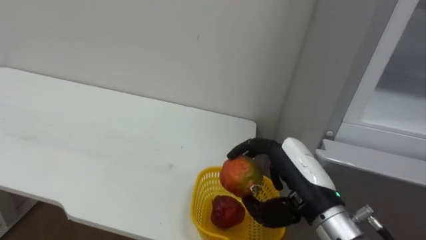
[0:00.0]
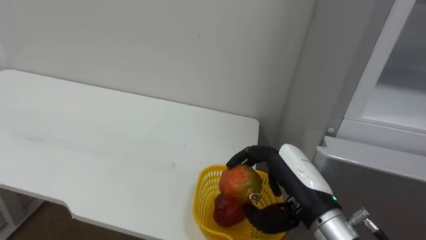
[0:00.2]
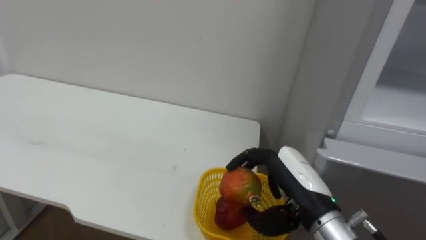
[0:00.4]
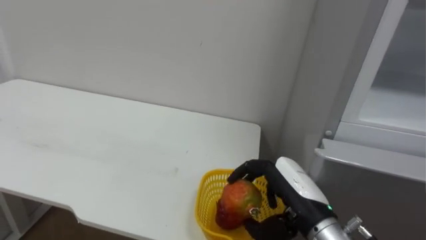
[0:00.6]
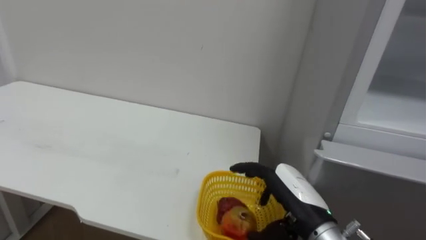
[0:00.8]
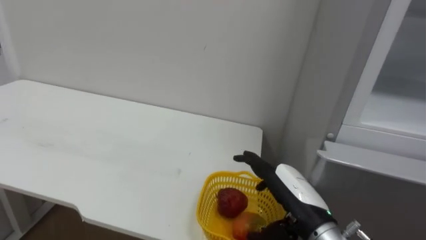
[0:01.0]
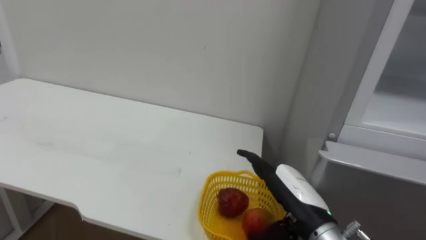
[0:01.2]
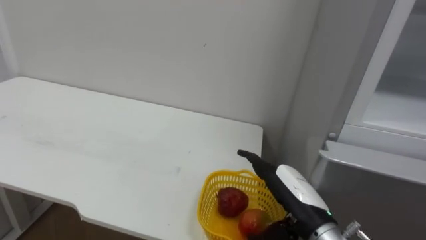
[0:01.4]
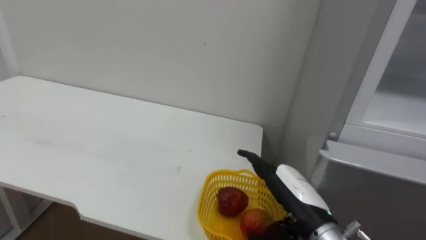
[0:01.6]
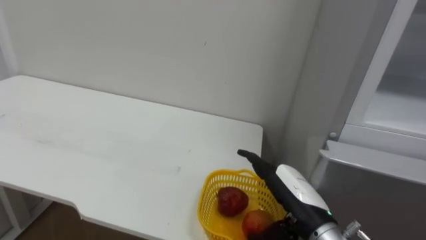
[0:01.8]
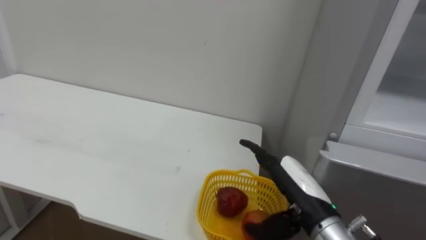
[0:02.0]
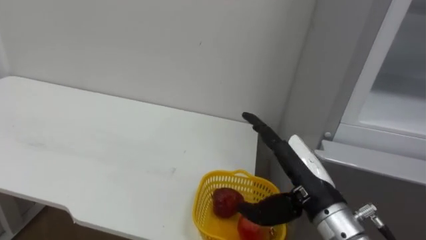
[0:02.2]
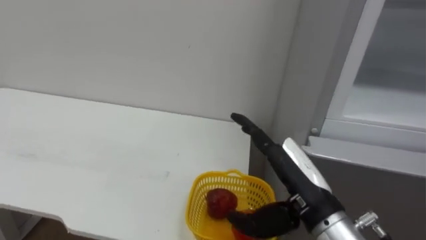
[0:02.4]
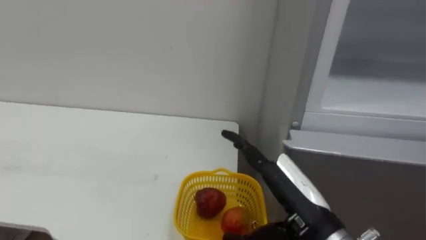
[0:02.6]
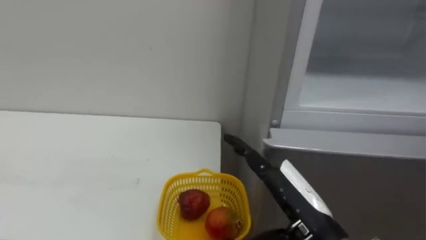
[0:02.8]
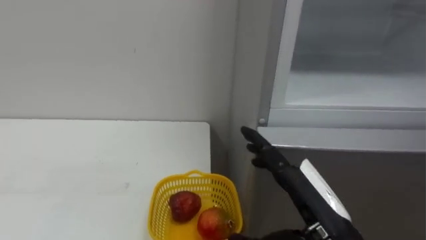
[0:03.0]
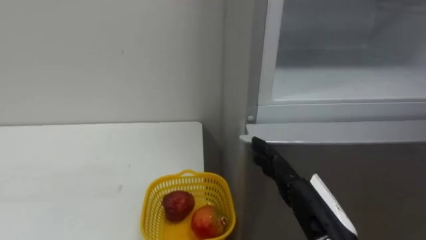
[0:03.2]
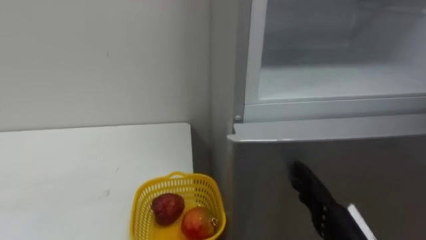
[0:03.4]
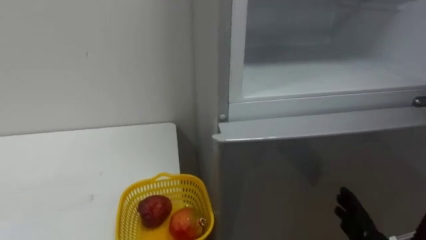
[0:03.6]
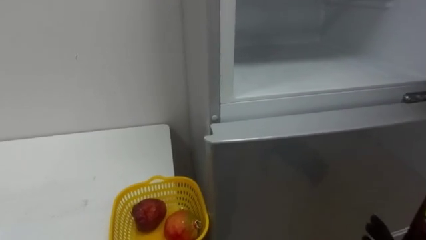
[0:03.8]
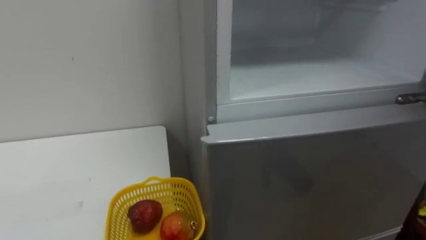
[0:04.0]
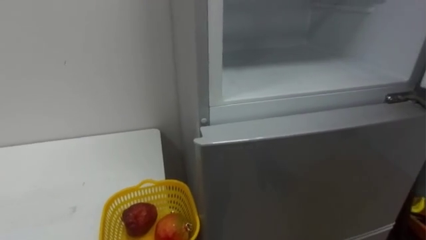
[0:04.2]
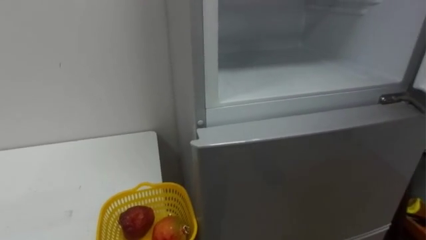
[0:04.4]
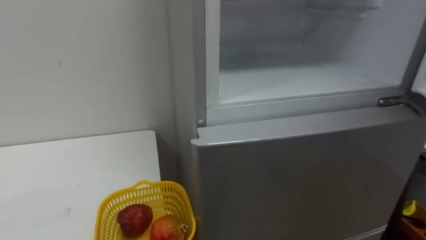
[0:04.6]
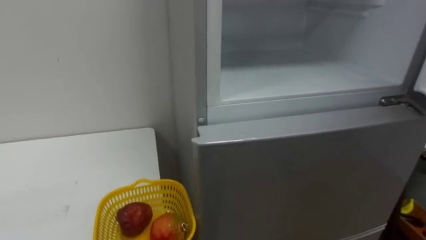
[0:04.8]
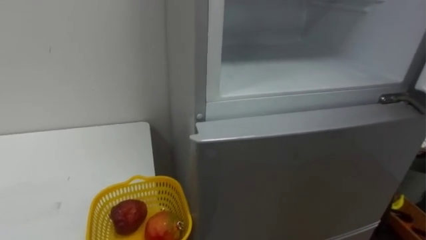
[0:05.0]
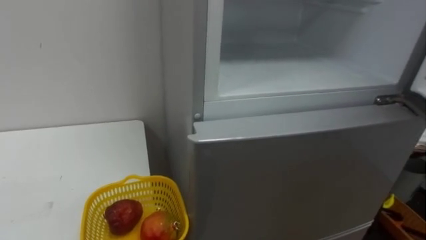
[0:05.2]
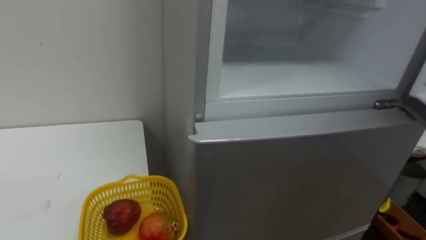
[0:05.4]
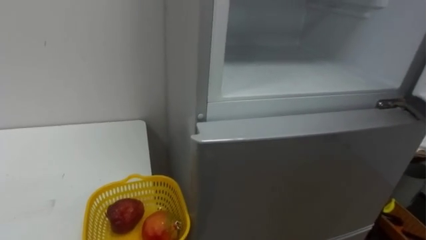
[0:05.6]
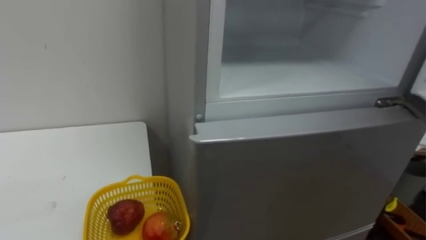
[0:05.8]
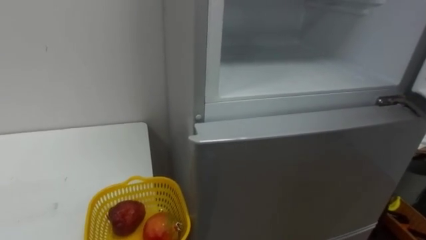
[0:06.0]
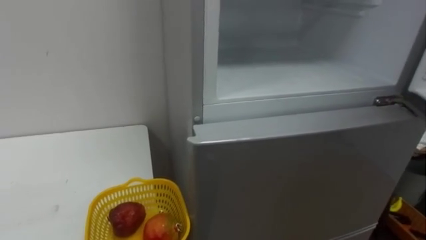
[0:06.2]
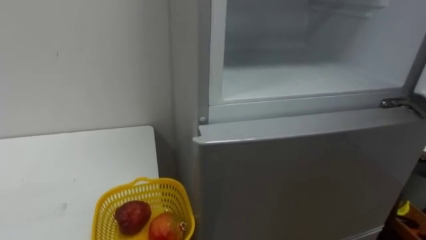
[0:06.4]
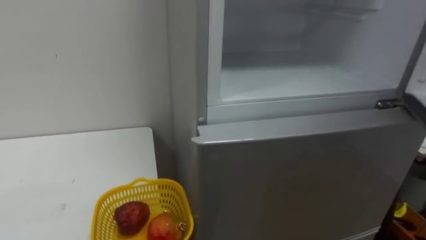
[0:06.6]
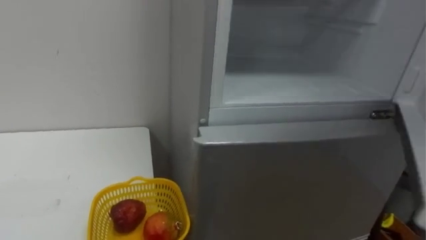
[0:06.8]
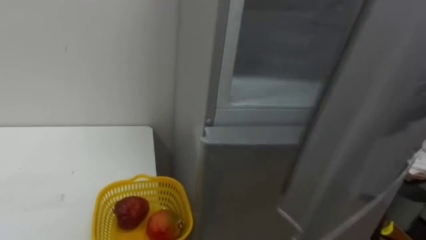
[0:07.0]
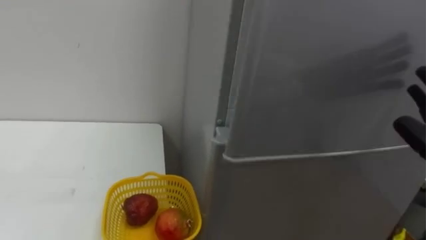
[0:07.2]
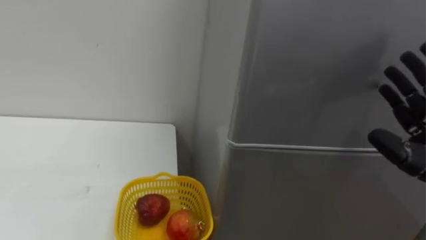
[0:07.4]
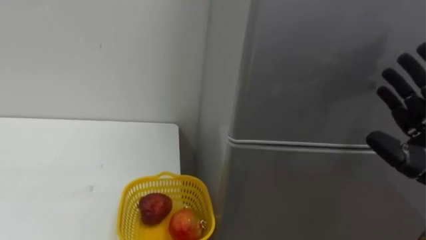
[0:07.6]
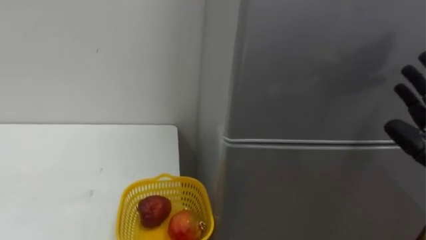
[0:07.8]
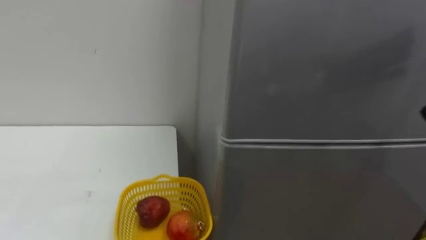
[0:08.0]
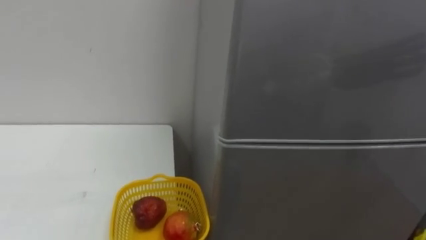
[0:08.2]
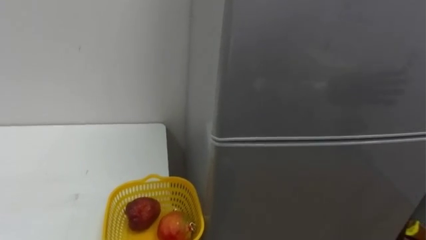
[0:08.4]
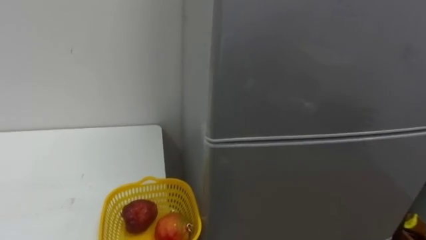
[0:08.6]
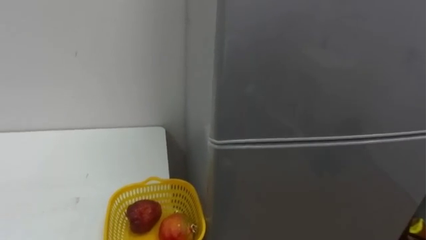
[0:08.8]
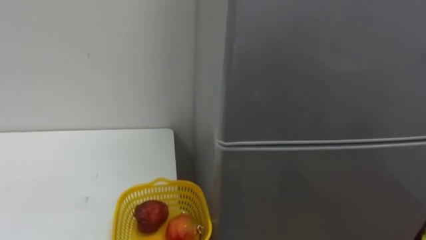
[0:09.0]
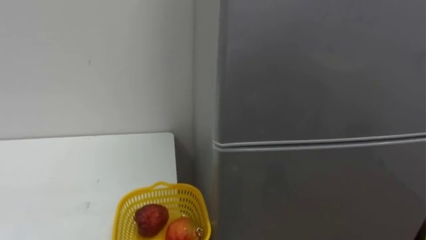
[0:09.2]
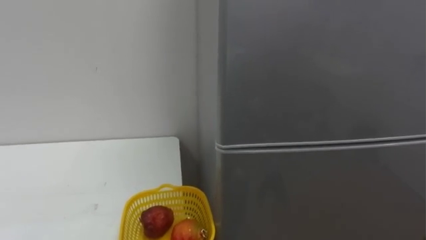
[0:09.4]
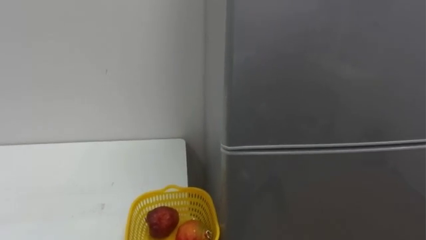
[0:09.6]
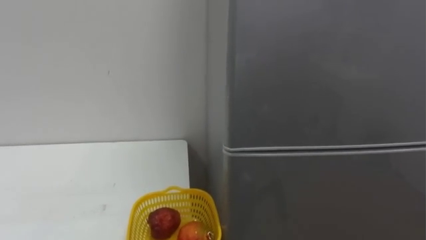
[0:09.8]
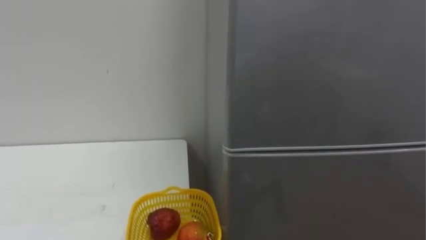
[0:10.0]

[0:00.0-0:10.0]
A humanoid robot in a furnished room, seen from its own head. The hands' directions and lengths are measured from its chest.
Task of the whole recording: Open the refrigerator door, take out the apple and the pomegranate, place them in the fruit basket on the left, and close the refrigerator door.
0:00.0 to 0:01.4: The right hand is displaced downward by approximately 5 cm, and opens its fingers.
0:01.4 to 0:02.8: The right hand goes some 10 cm backward and upward.

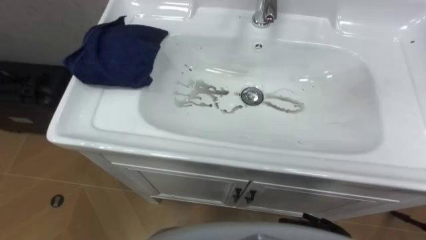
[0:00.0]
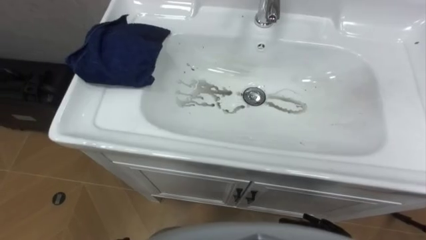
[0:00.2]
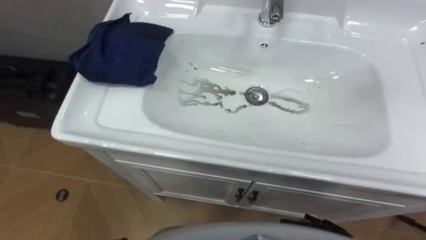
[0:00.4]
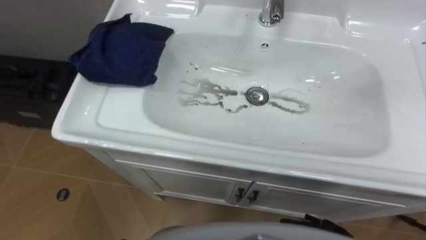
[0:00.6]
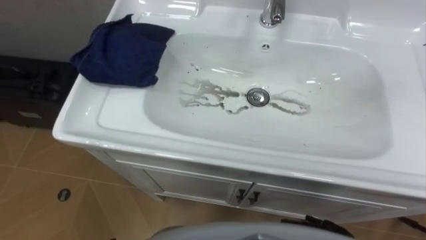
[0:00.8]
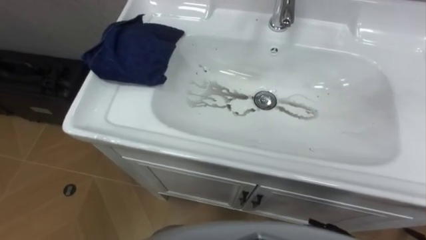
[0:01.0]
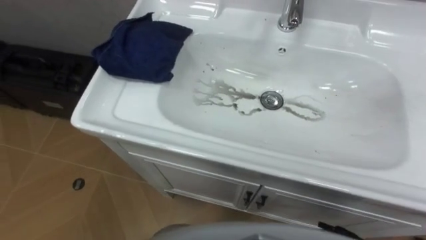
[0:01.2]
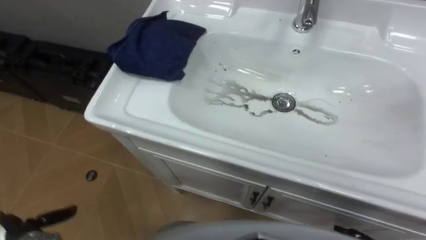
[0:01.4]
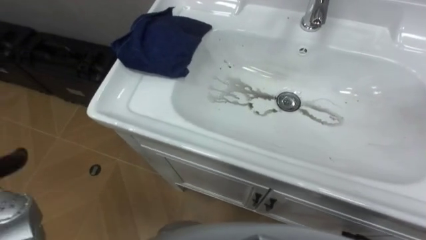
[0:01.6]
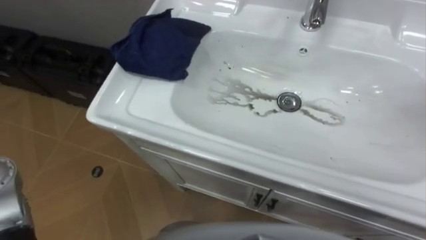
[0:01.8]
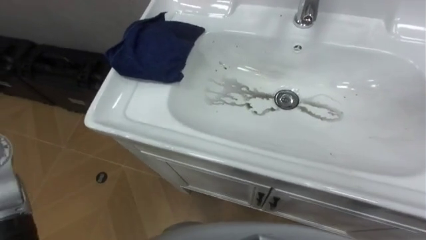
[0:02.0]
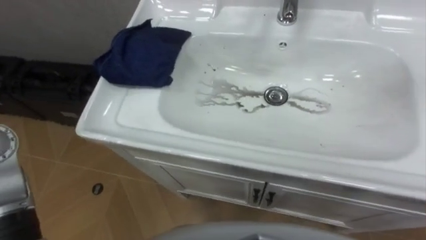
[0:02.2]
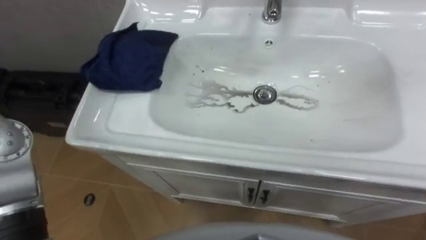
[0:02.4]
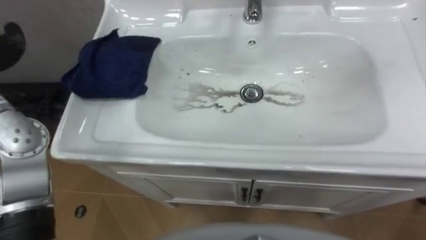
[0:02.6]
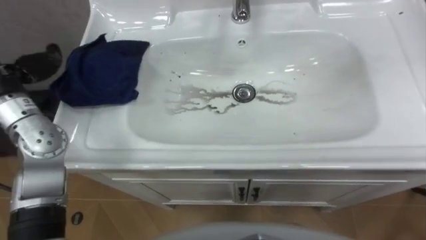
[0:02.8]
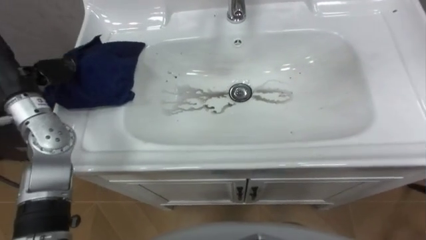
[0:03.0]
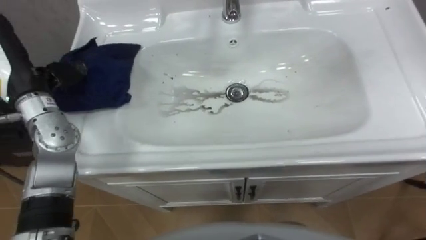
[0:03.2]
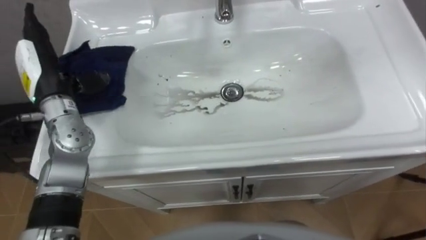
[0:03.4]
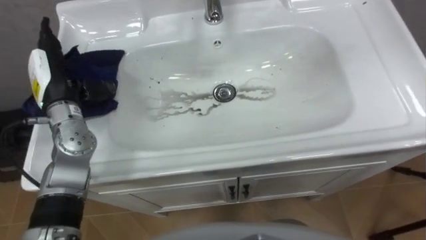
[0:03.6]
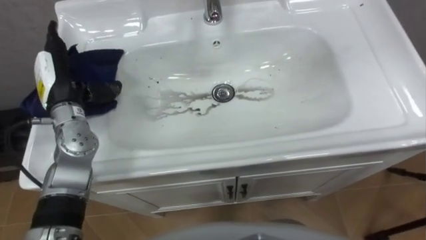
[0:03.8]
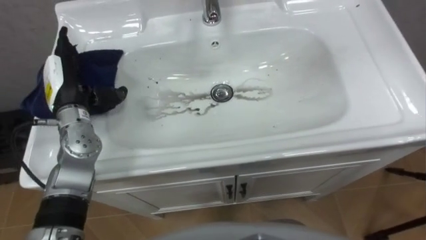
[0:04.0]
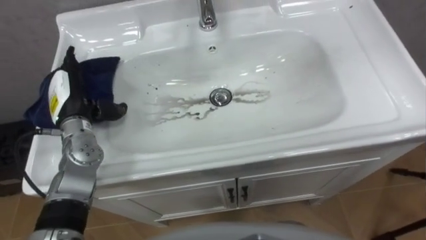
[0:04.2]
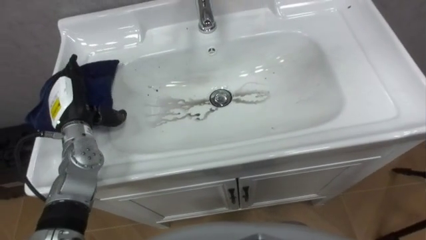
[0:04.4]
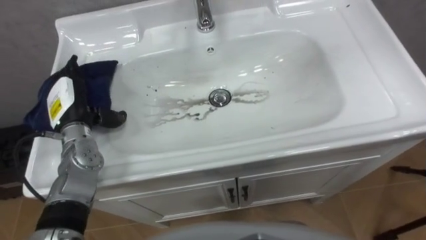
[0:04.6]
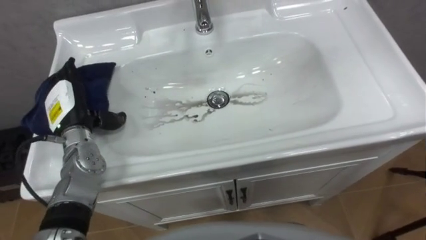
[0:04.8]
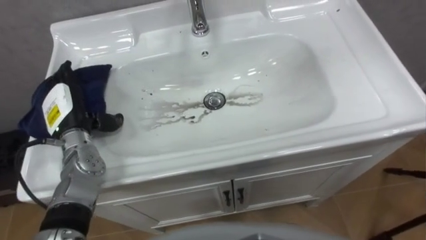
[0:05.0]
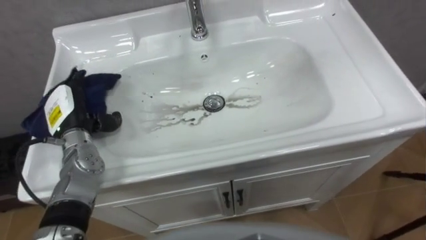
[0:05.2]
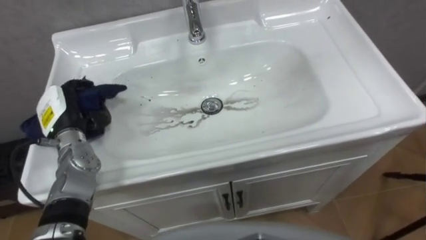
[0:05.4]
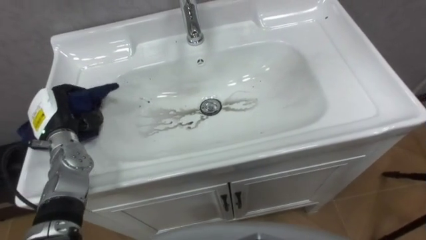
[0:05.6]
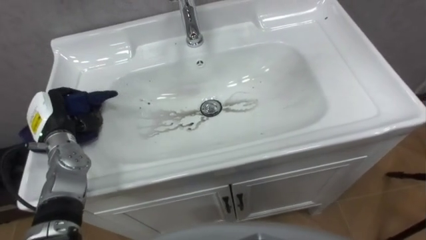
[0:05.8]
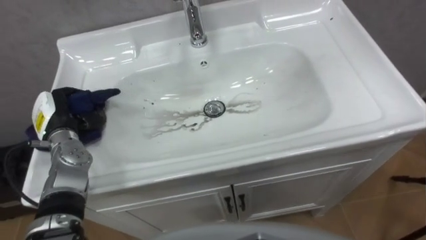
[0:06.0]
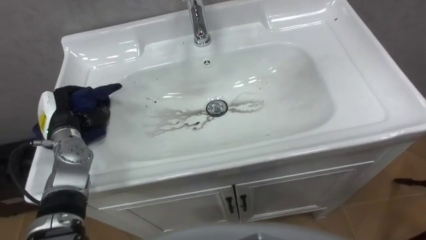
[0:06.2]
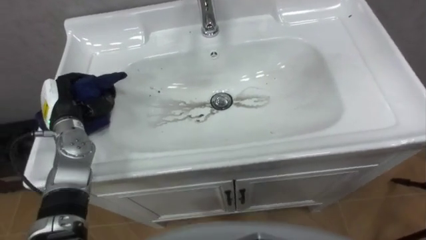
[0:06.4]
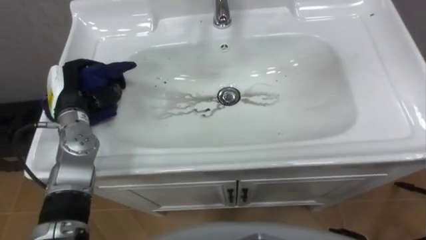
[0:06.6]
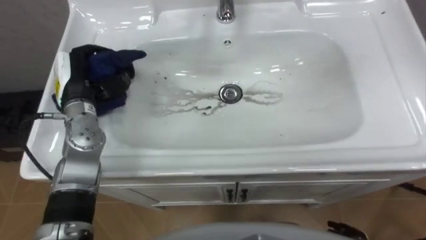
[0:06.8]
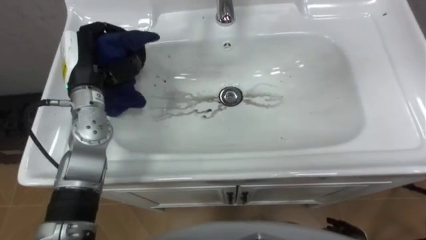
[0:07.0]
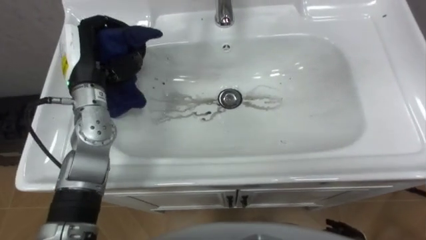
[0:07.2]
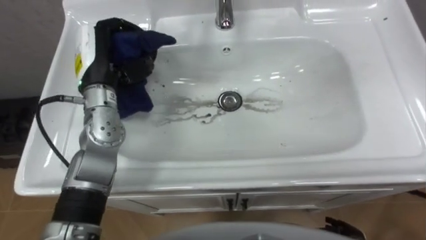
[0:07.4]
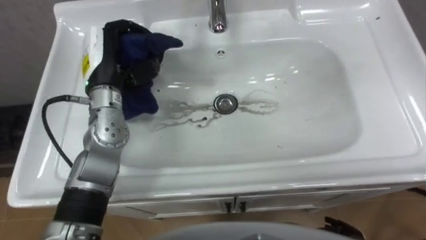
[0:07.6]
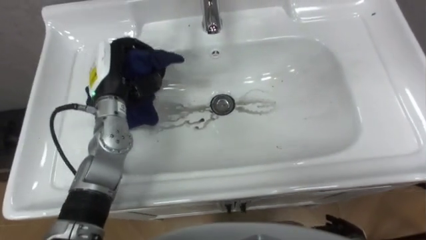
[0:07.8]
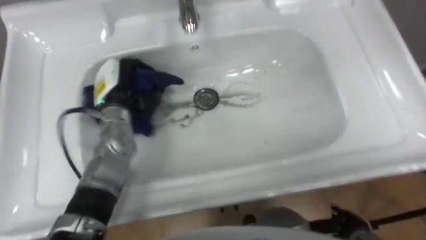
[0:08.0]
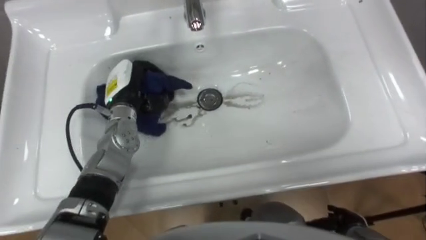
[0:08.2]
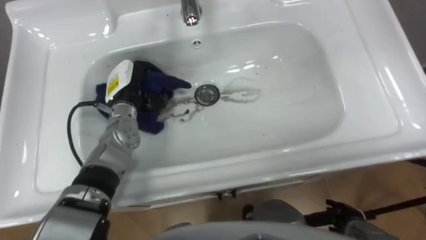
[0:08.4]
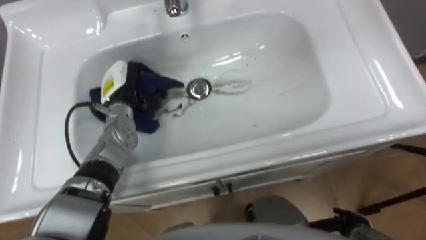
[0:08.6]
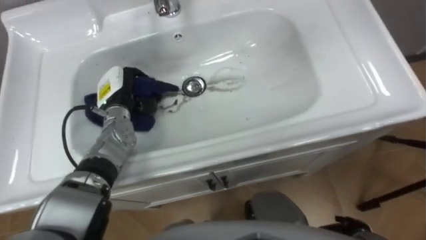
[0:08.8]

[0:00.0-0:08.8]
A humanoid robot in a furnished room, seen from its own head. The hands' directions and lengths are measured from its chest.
Task of the whole recording: Use the cloth on the right to wipe away the black stain in the sink.
0:04.4 to 0:05.8: The left hand shifts by roughly 5 cm, and closes up.
0:05.8 to 0:07.4: The left hand goes about 20 cm upward, to the right and forward.
0:07.4 to 0:08.8: The left hand goes about 15 cm downward.
